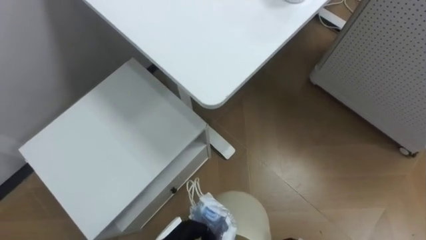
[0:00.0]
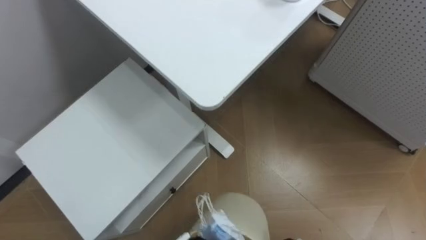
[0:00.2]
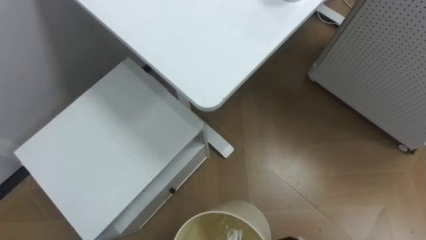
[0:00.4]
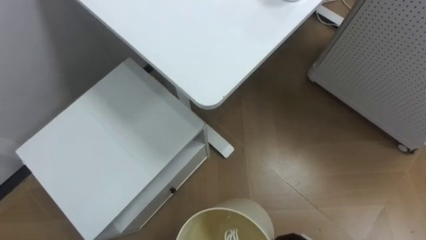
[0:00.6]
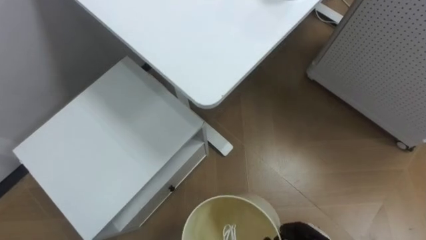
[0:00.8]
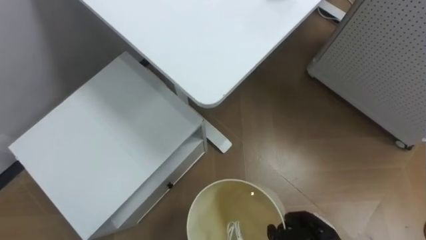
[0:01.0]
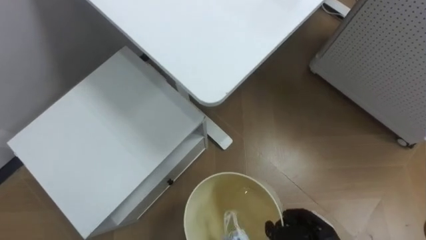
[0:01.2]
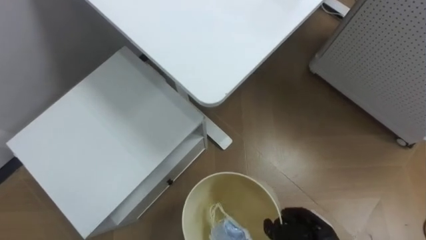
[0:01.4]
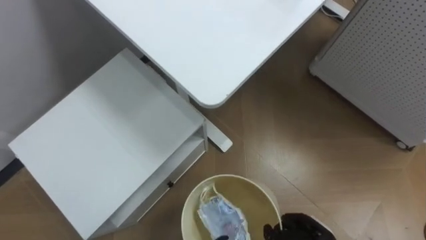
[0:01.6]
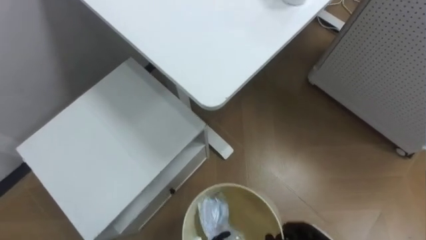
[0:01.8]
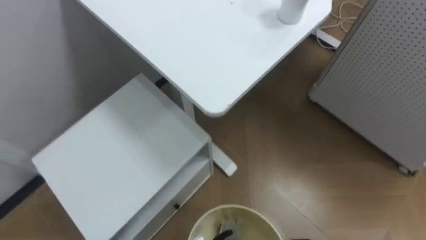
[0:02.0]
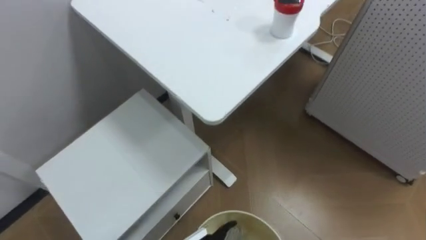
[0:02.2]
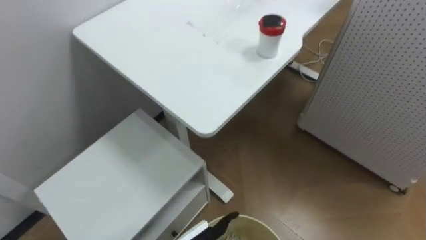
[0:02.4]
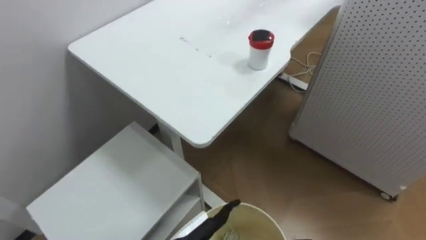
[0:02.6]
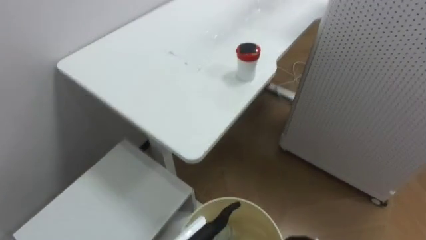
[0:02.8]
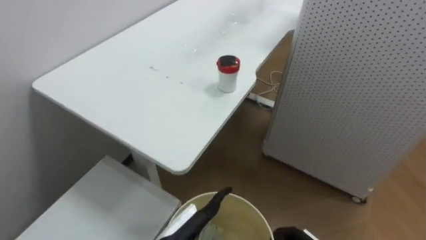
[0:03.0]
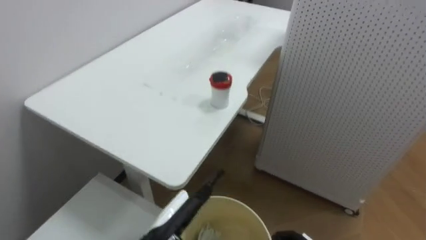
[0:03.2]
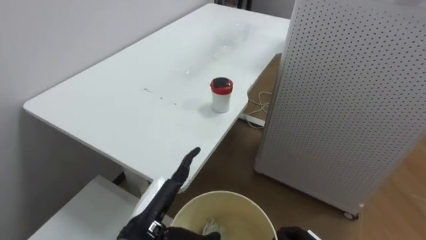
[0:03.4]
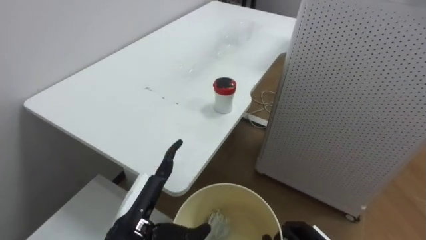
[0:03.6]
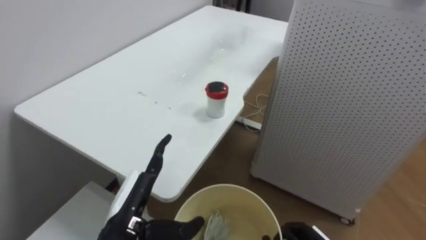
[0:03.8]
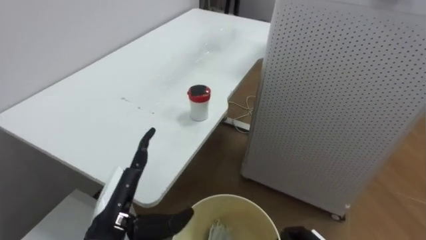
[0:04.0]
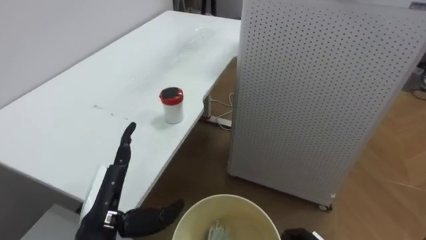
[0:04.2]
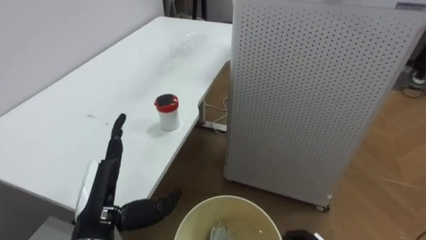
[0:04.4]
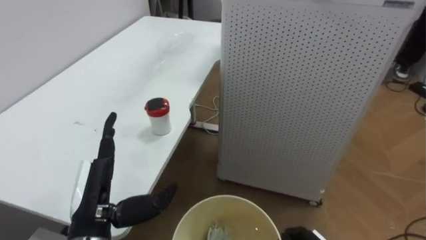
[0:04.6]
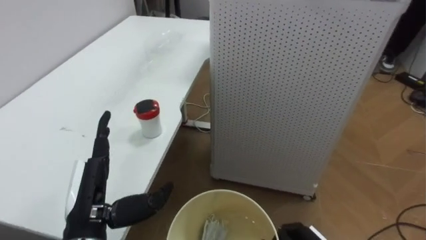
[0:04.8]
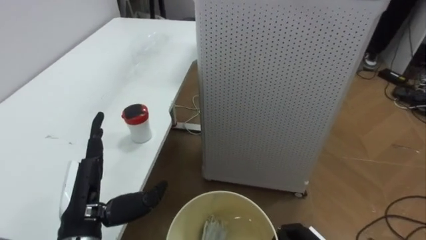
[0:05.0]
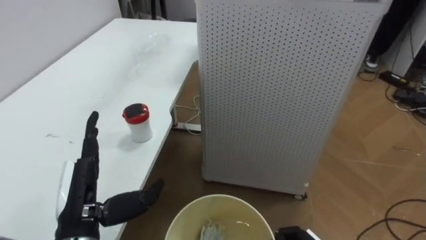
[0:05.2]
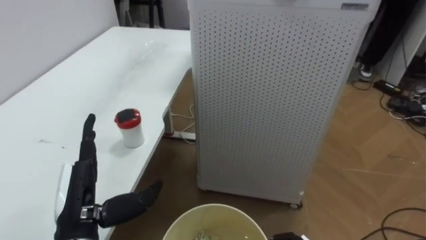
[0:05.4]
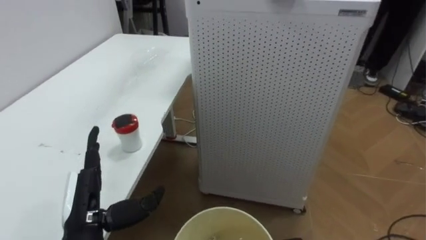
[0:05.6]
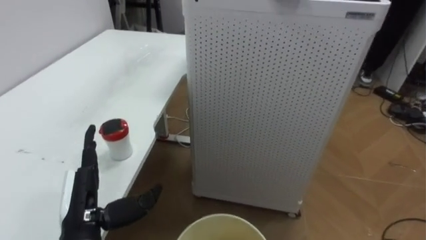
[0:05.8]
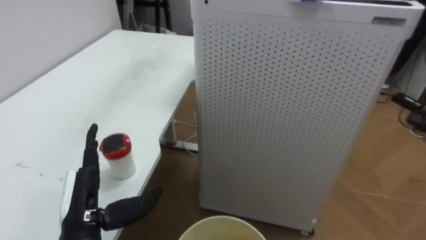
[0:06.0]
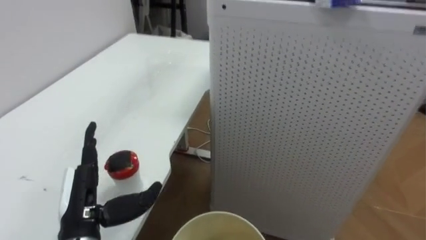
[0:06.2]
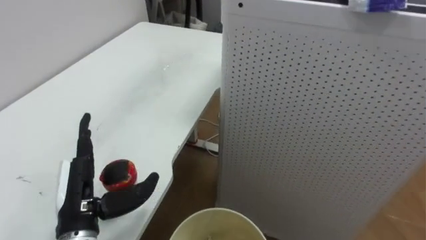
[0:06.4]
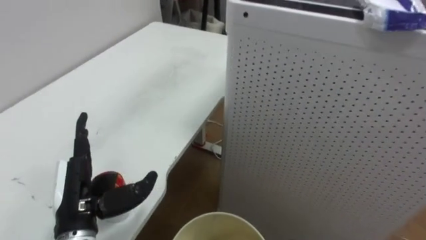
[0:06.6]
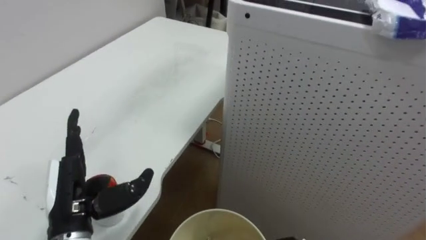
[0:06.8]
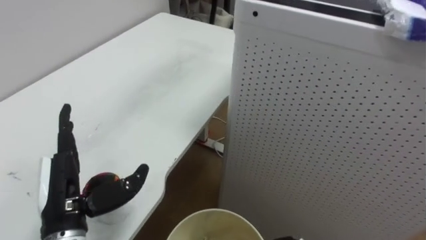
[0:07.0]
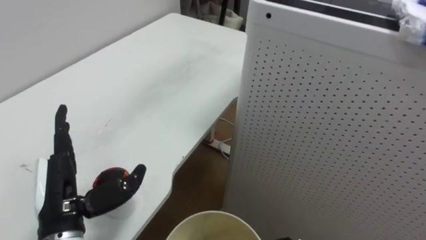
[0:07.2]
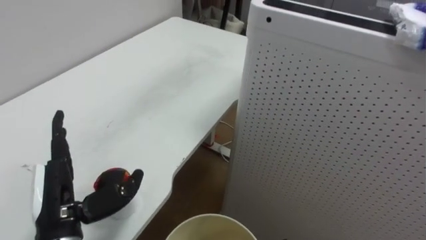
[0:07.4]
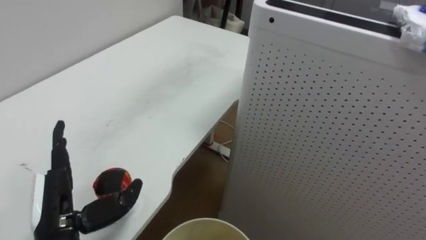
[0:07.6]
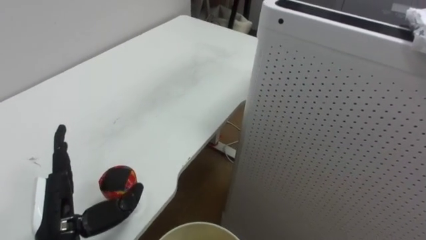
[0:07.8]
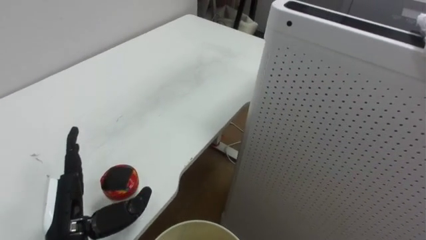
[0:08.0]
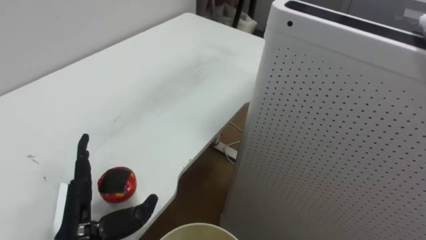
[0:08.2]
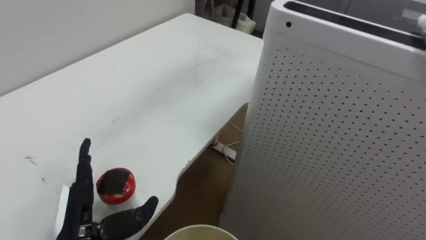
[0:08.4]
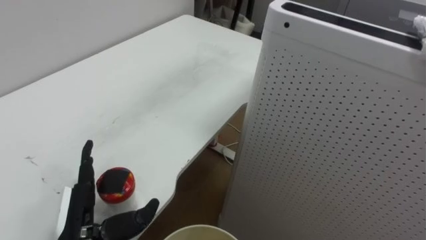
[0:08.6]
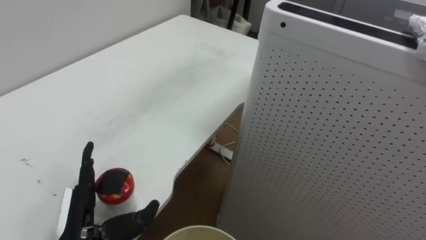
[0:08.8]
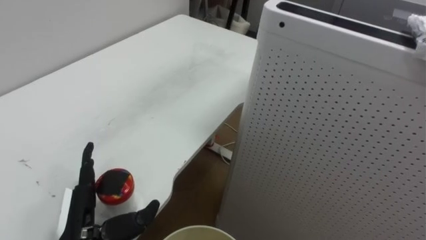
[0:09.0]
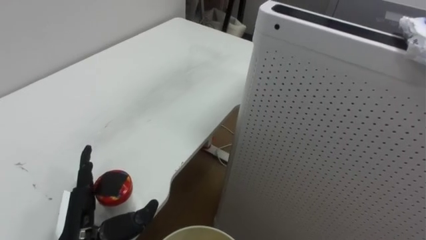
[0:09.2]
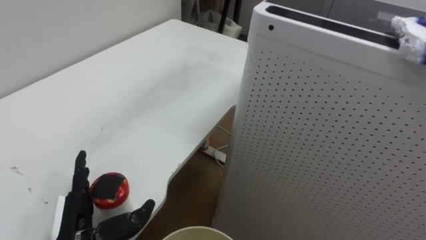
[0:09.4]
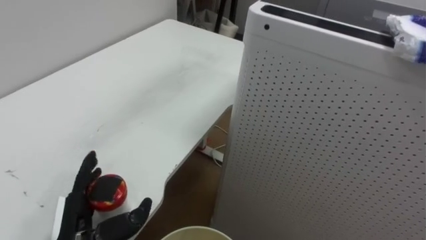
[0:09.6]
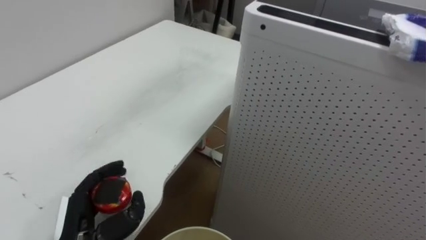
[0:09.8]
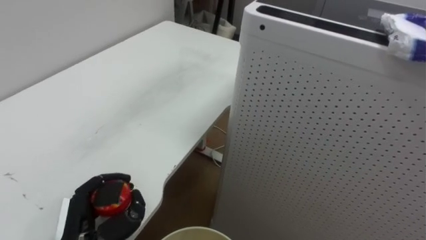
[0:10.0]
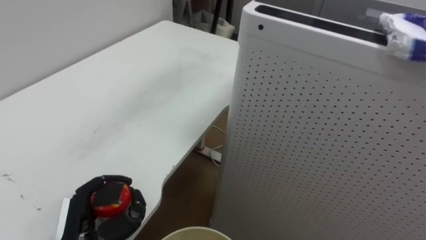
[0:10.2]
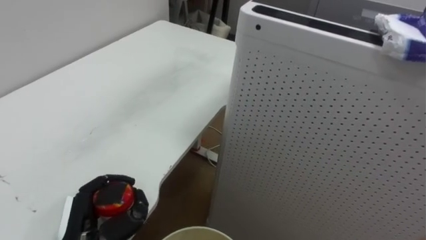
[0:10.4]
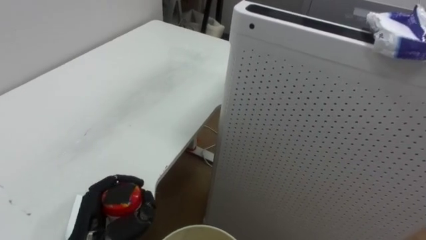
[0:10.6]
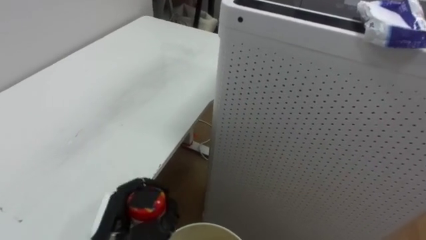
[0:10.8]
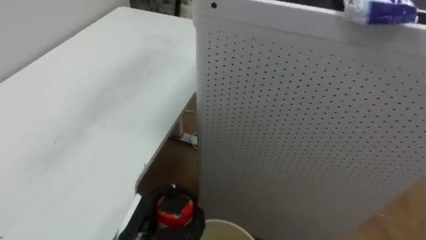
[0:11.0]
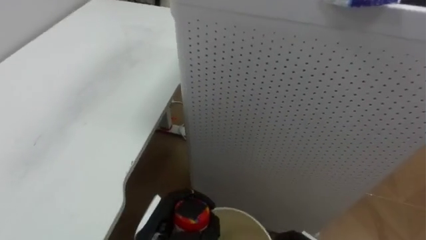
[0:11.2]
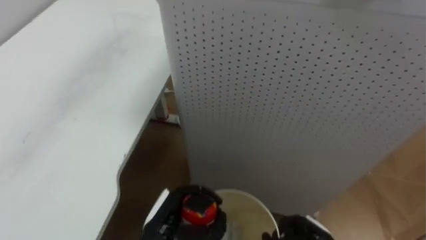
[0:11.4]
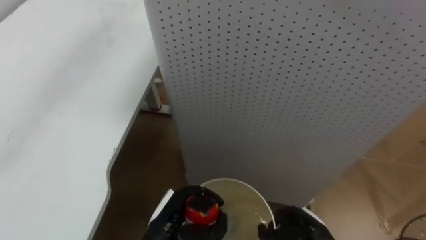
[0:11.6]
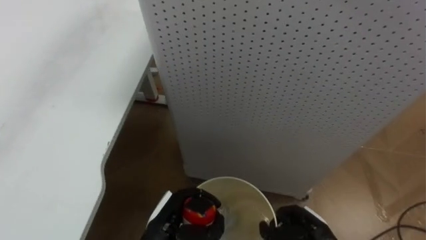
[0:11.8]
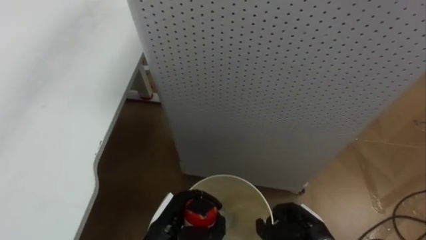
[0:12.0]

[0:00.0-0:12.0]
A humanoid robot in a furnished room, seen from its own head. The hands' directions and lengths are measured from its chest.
Task of the whole recording: Pick up the light blue package, the candy box, and the dark blue package separately, and put them into the trash can held in your right hand.
0:03.0 to 0:04.4: The robot's body swings roughly 15 degrees to its right. The left hand goes approximately 15 cm to the left and upward.
0:06.0 to 0:07.6: The robot faces roughly 15 degrees further to its left.
0:09.0 to 0:10.4: The left hand closes up.
0:10.4 to 0:12.0: The left hand goes approximately 15 cm to the right and downward.

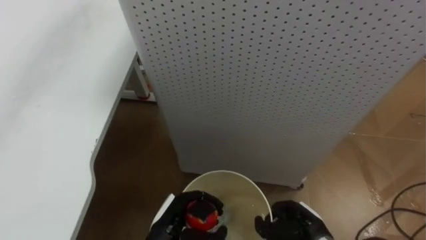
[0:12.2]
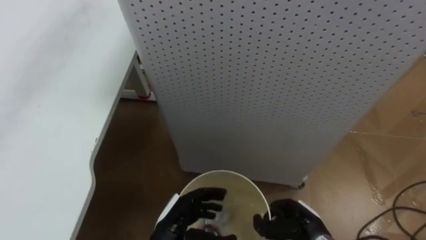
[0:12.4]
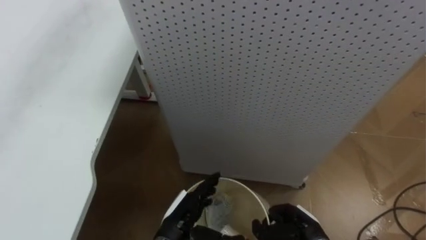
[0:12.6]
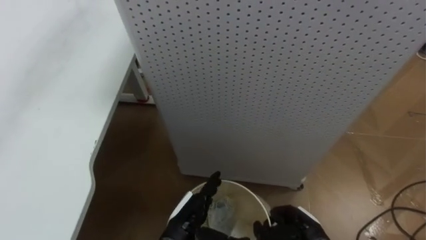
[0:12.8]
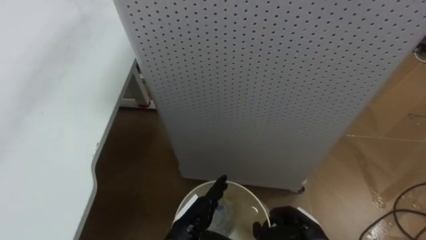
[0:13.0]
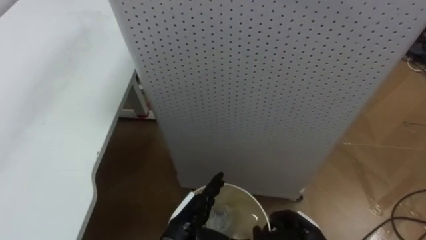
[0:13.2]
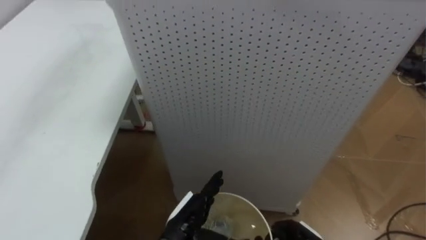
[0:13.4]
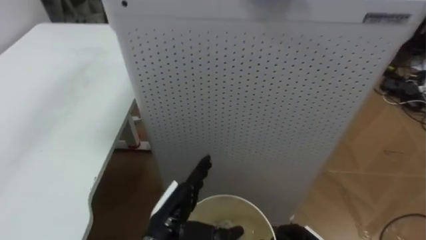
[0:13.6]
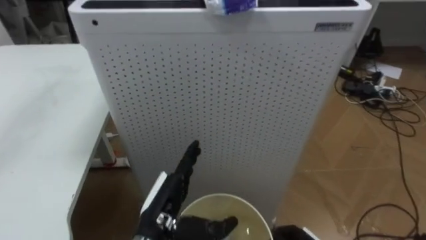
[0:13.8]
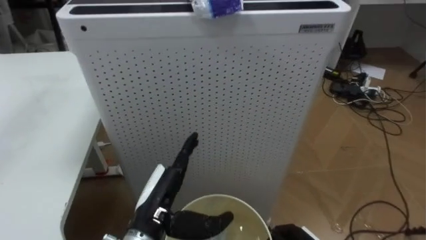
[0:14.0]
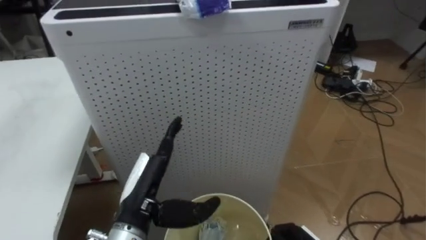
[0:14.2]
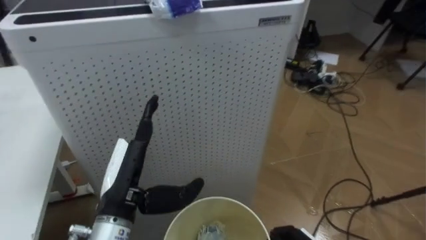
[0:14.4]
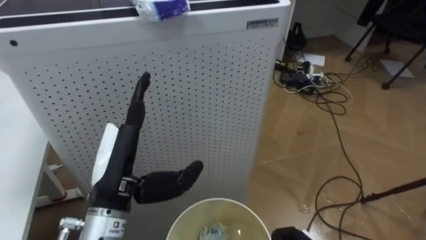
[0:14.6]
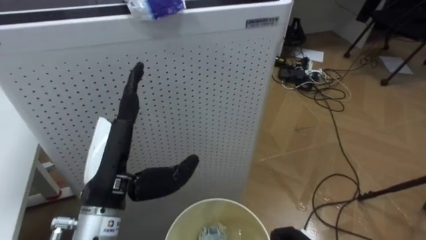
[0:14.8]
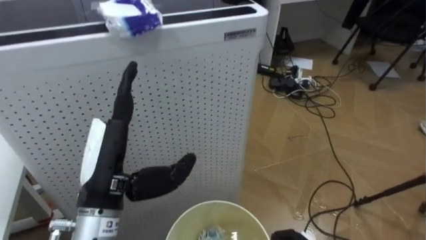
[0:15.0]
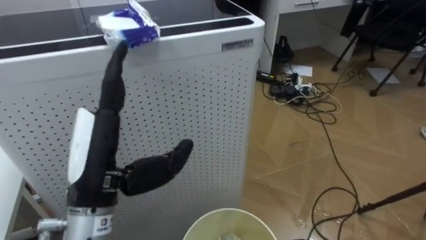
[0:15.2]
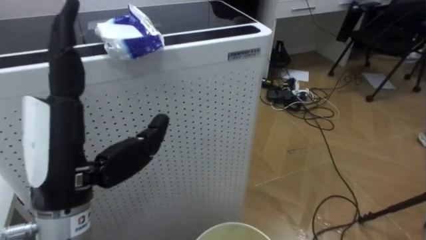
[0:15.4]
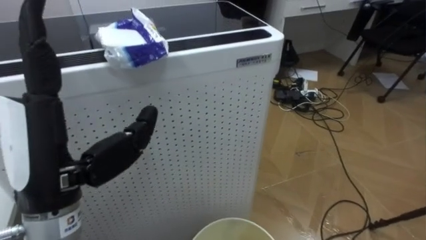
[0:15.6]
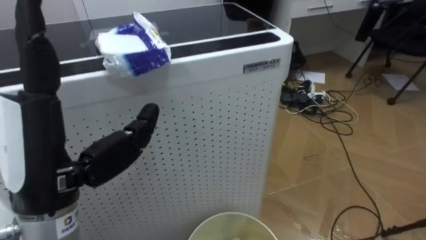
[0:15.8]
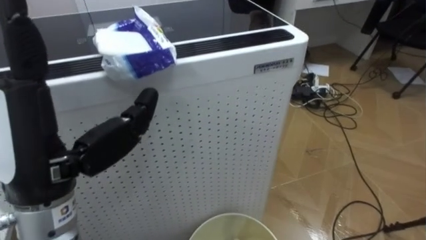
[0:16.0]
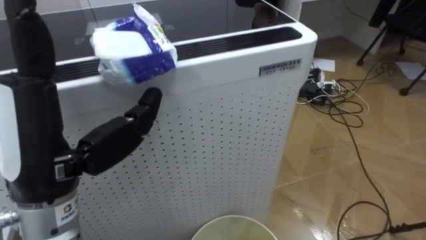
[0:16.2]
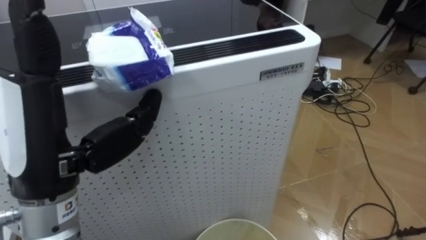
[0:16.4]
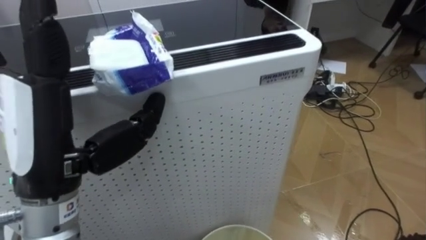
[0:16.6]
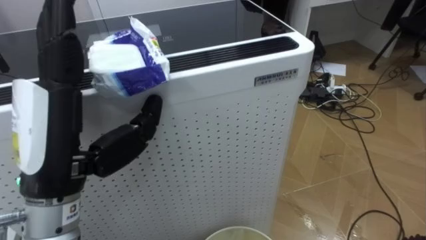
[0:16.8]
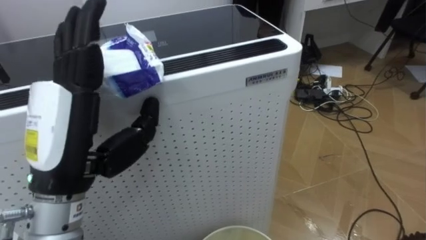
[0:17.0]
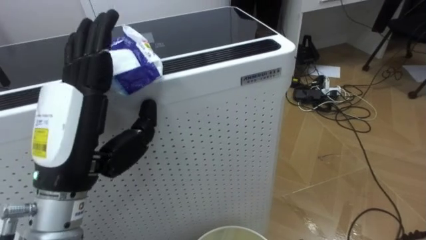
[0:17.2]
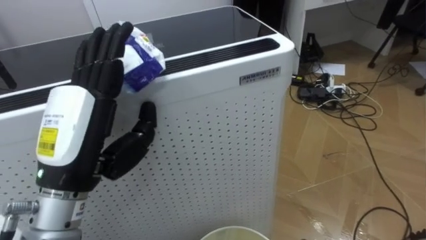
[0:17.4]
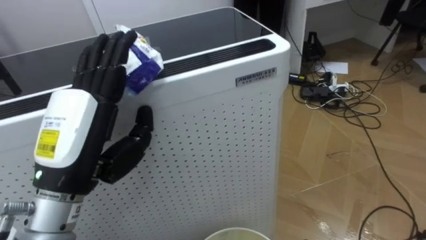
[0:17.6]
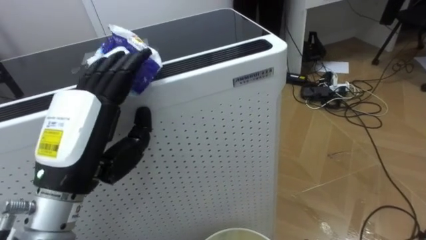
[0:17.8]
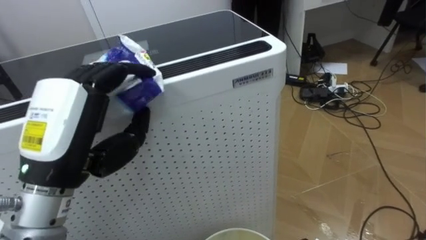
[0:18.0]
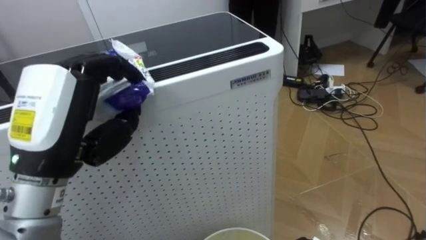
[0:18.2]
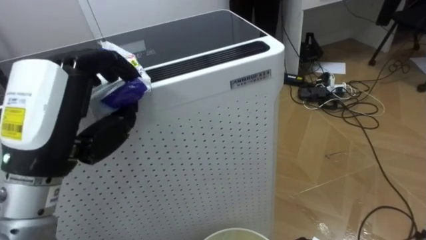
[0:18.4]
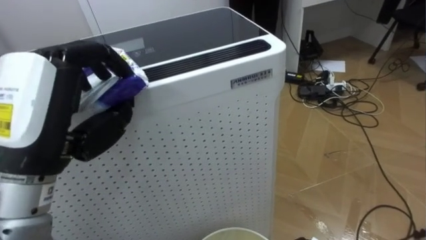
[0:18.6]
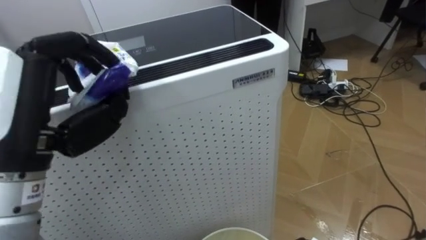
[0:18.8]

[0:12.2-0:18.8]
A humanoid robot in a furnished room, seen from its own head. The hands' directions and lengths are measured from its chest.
Task of the whole recording: Pick up the light blue package, the candy box, and the dark blue package separately, and put them into the trash can held in your right hand.
0:12.2 to 0:13.8: The left hand moves upward, some 10 cm, and opens up.
0:13.8 to 0:15.4: The robot rotates about 25 degrees to its right. The left hand heads upward and to the left, covering some 20 cm.
0:17.2 to 0:18.8: The left hand closes its fingers.
